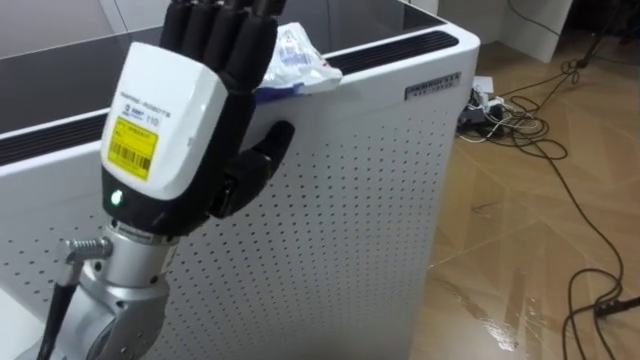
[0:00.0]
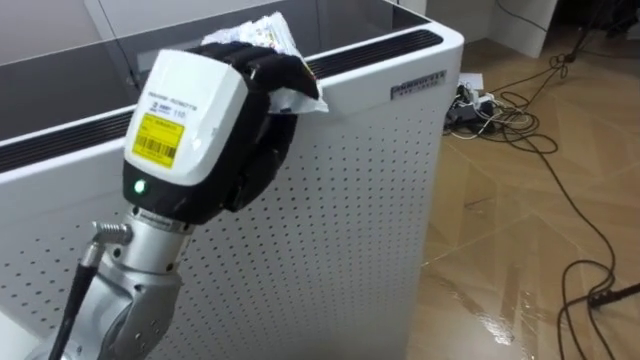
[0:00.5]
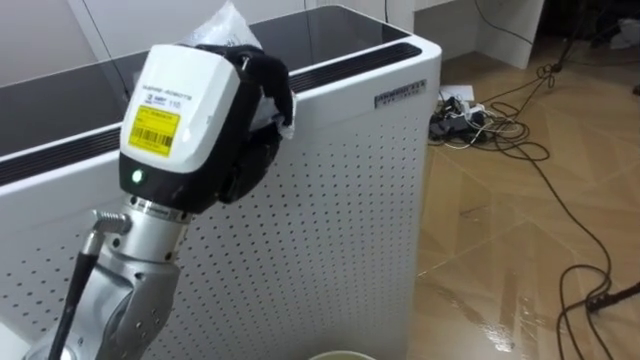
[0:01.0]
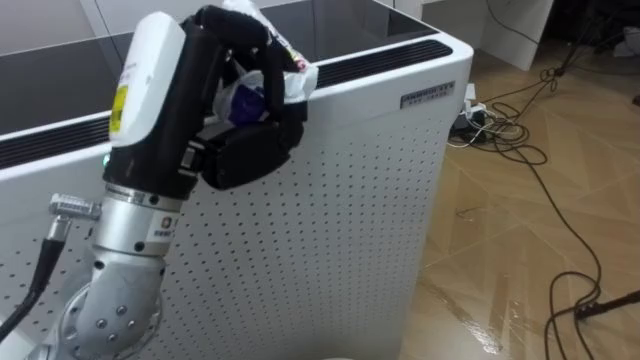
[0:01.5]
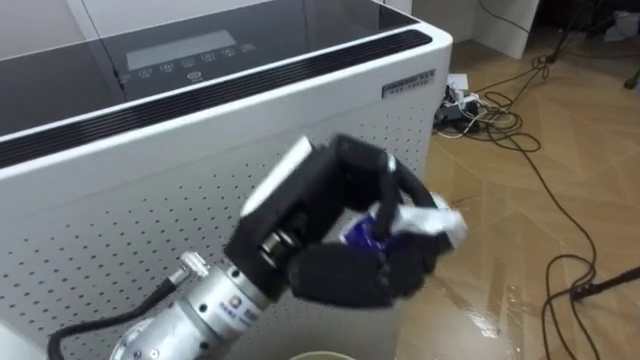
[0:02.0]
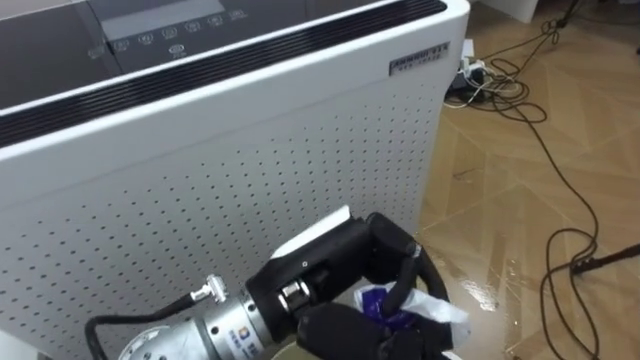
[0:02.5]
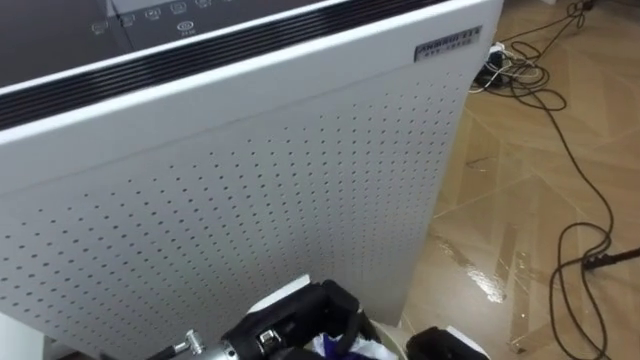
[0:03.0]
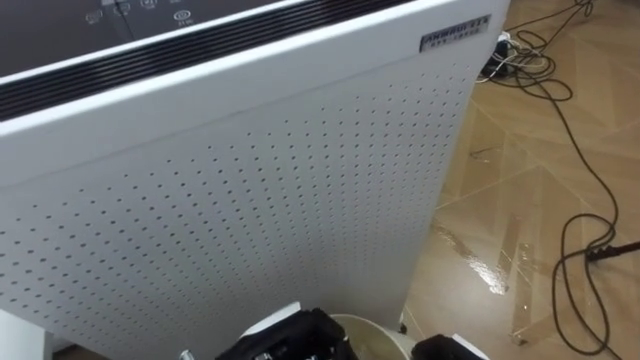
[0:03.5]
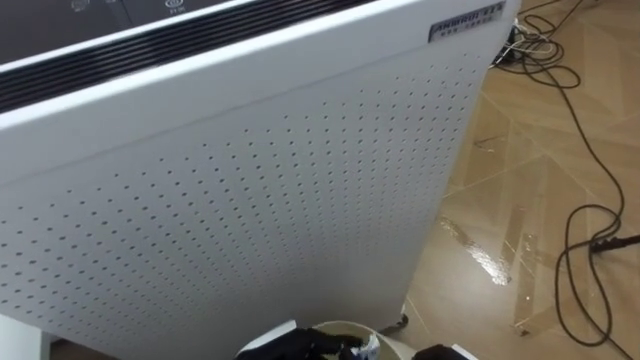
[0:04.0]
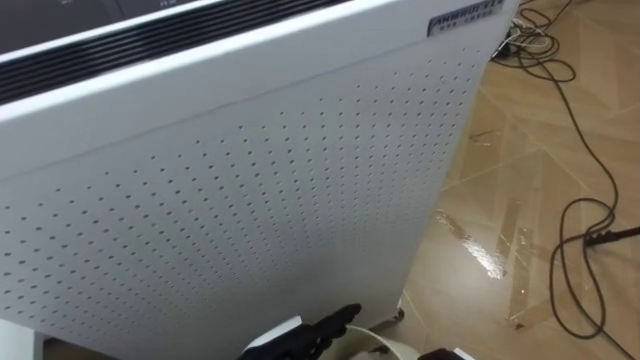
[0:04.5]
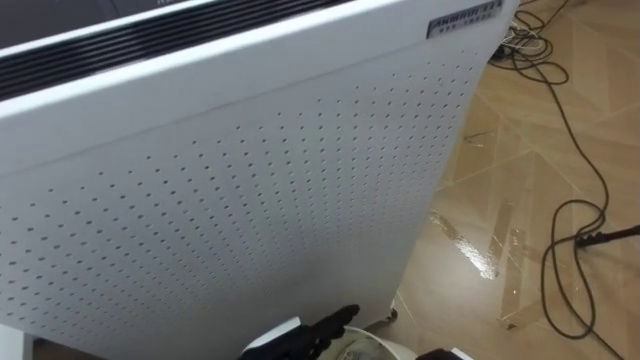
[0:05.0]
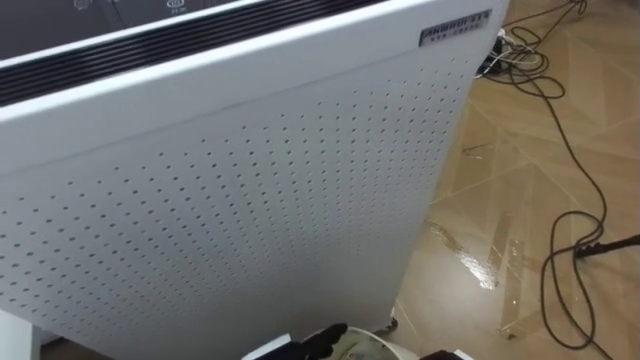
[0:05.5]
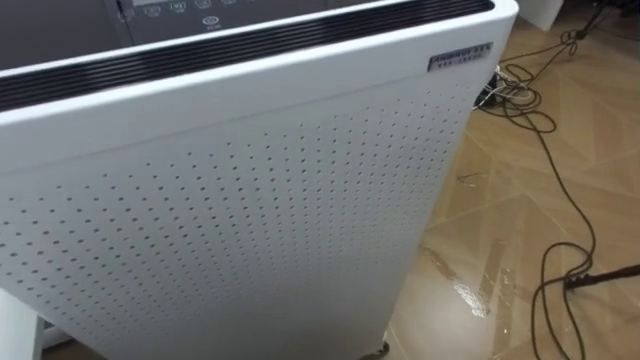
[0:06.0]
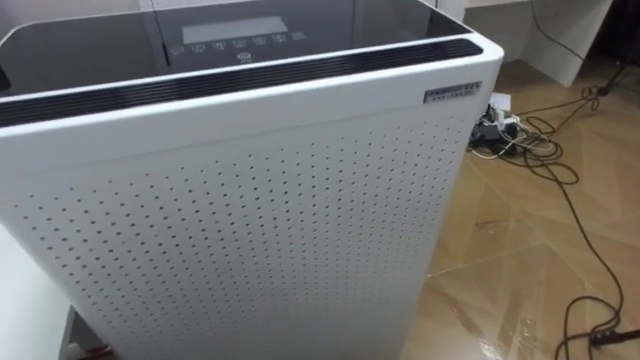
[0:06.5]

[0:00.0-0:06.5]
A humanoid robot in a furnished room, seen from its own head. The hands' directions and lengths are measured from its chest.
Task of the whole recording: Pick up the light blue package, the candy box, and the dark blue package separately, and put them into the trash can held in your right hand.
0:00.0 to 0:02.0: The left hand goes some 10 cm to the right and downward, and closes its fingers.
0:02.0 to 0:04.5: The left hand travels downward by roughly 20 cm, and opens.

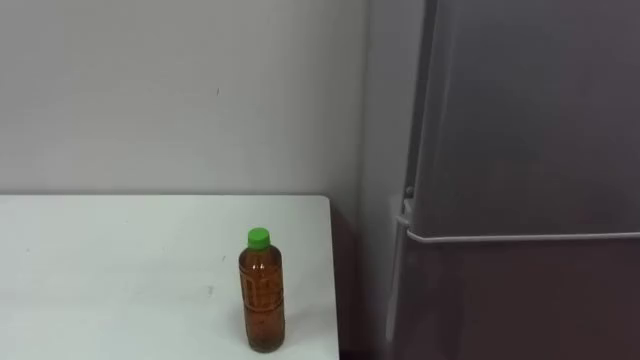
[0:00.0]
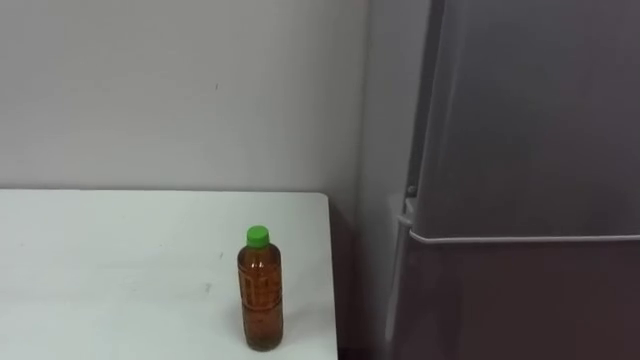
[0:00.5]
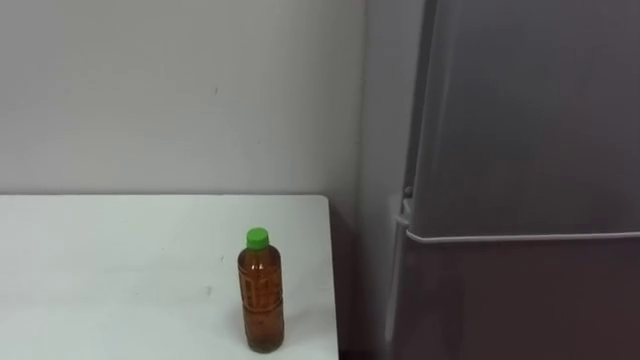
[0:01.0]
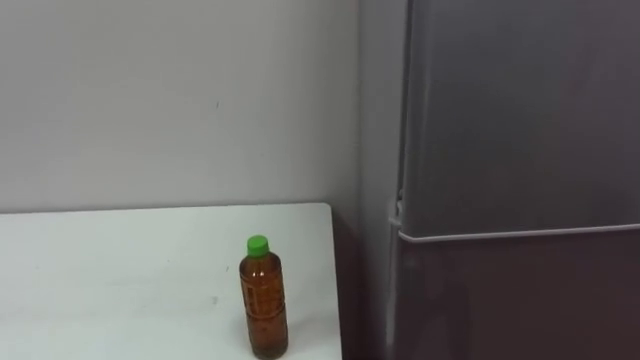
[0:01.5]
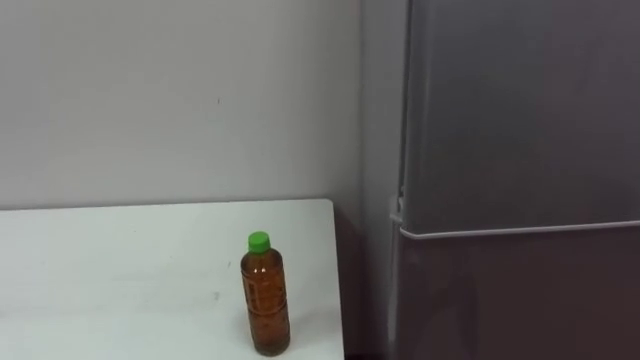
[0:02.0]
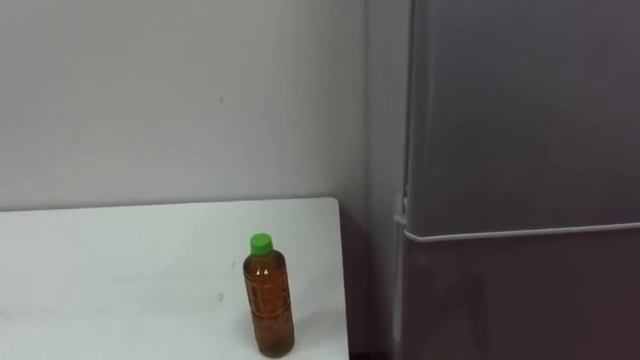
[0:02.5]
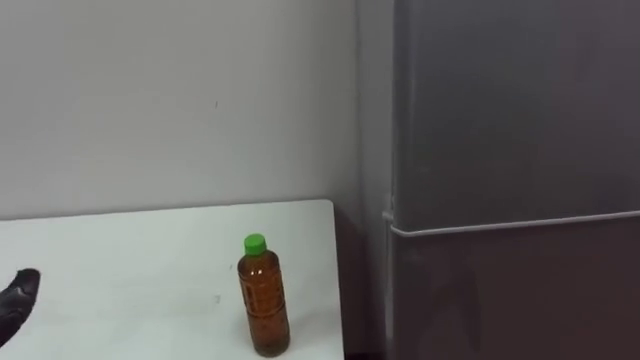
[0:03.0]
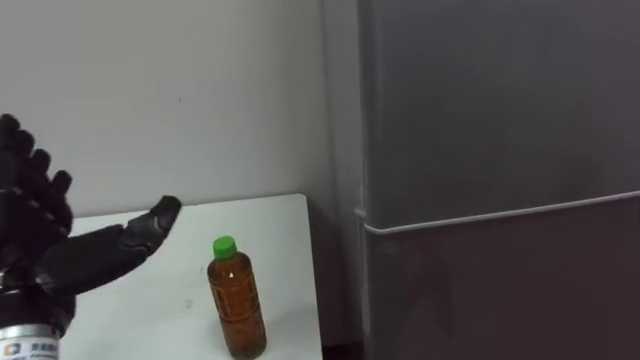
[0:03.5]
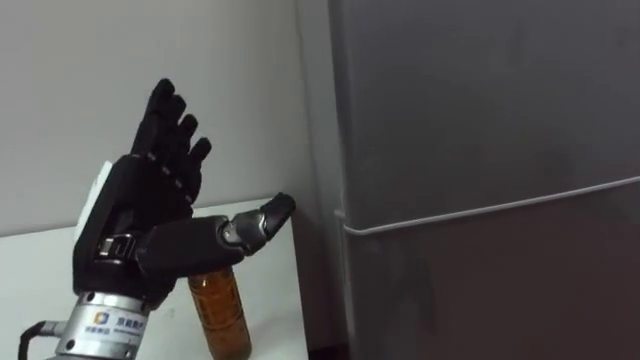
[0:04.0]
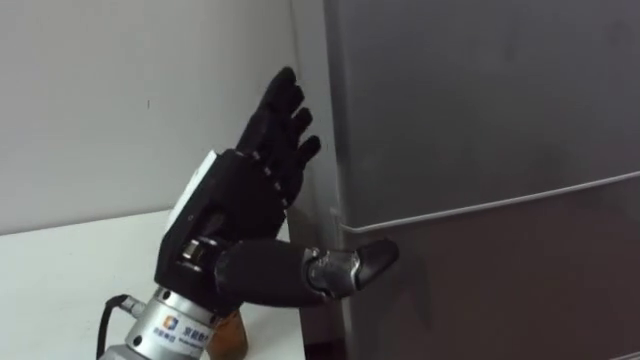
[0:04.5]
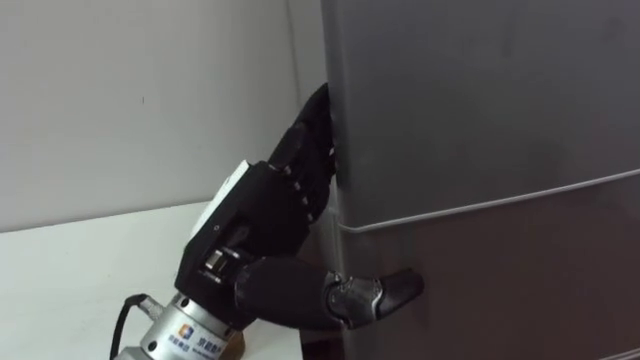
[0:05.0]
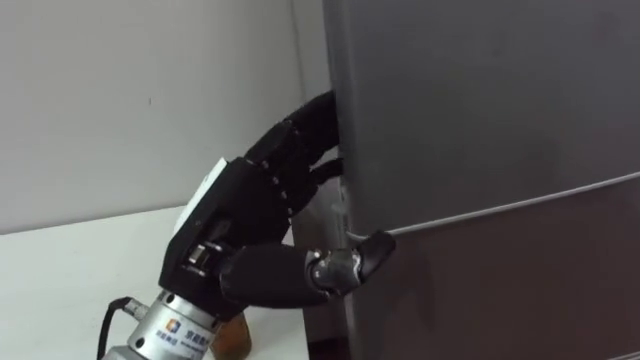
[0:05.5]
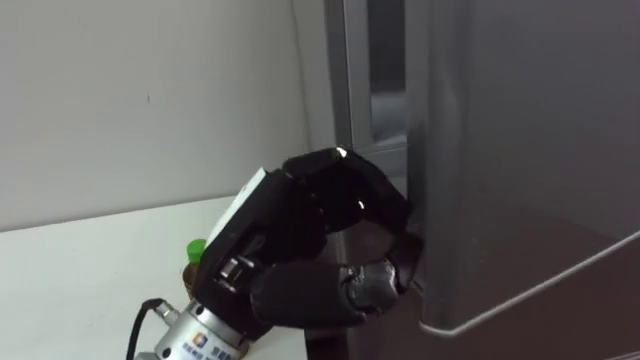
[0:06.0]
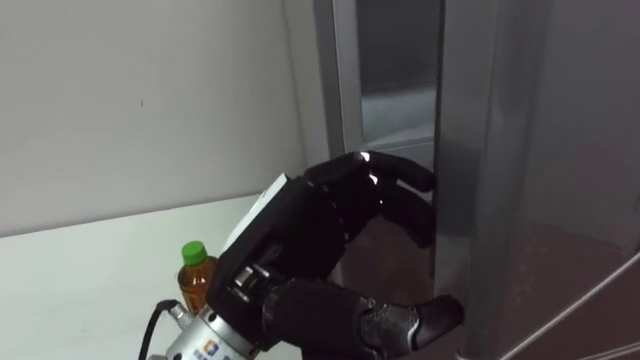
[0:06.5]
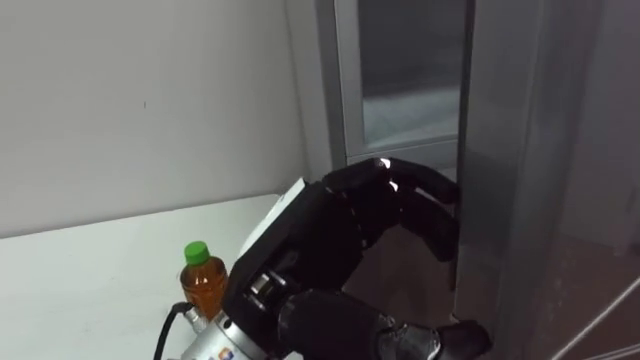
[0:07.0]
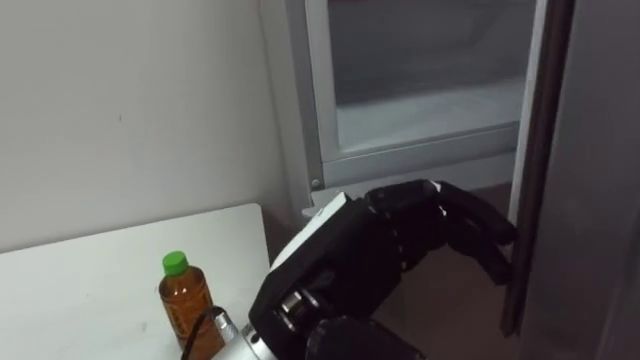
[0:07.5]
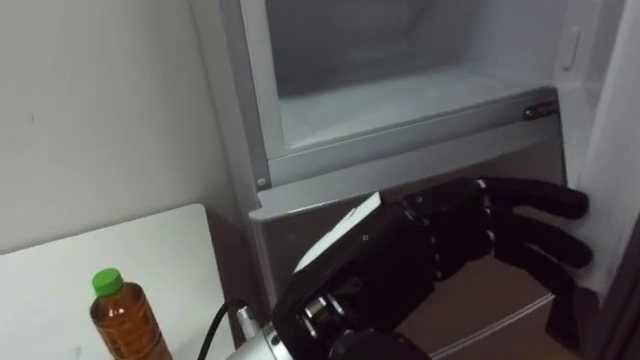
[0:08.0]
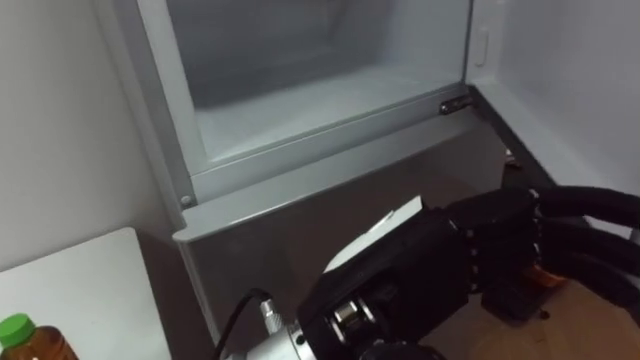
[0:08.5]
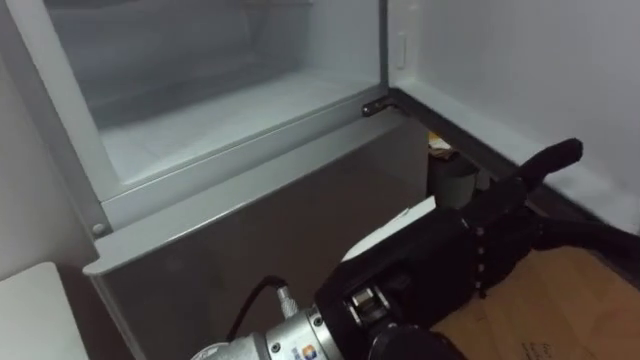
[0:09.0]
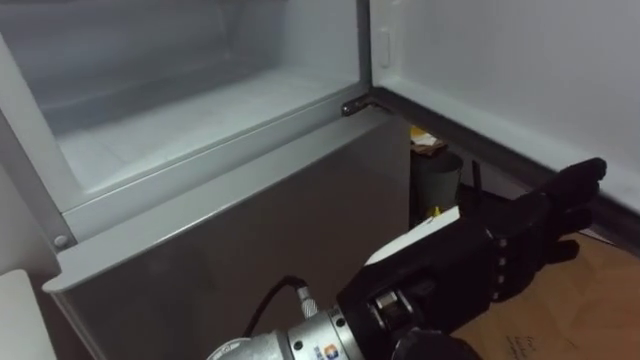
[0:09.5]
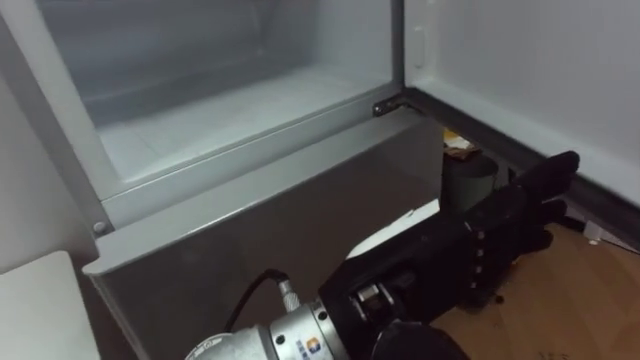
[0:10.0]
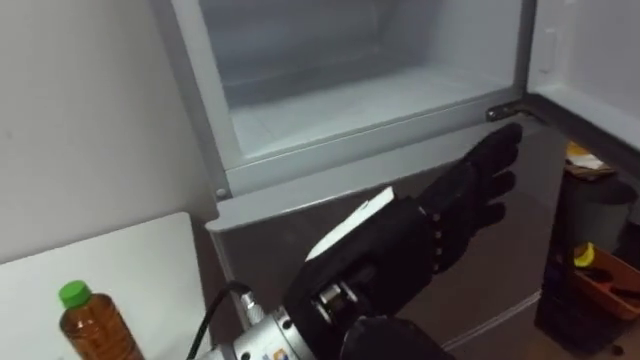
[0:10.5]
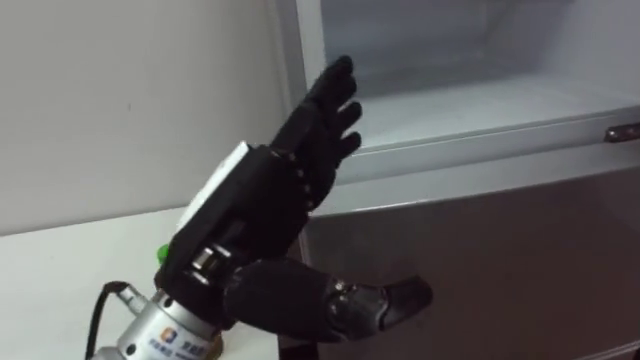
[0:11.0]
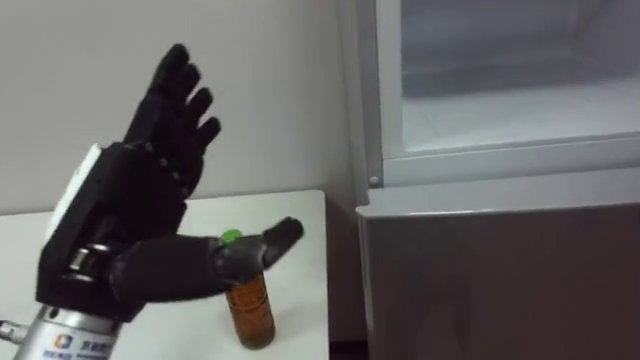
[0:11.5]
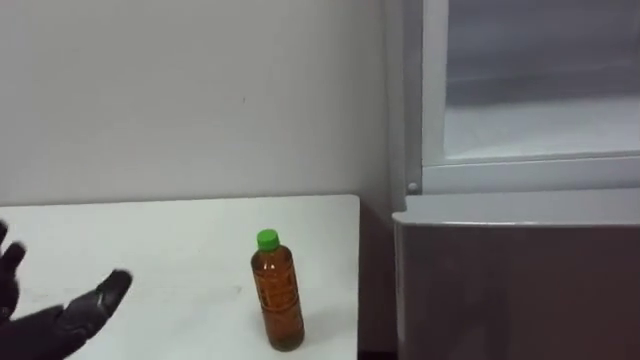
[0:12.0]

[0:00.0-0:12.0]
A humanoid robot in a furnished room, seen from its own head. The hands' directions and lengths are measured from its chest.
Task of the whole recording: Open the upper refrigerator door, put the drink from the table into the refrigerator, and then close the refrigerator door.
0:04.0 to 0:06.0: The left hand goes about 10 cm to the right, and closes up.
0:06.0 to 0:08.0: The left hand shifts approximately 5 cm to the right, and opens.

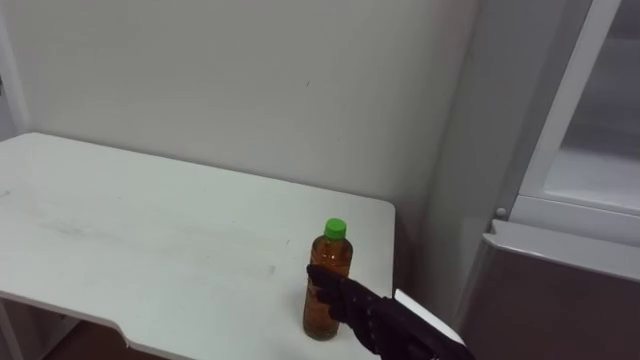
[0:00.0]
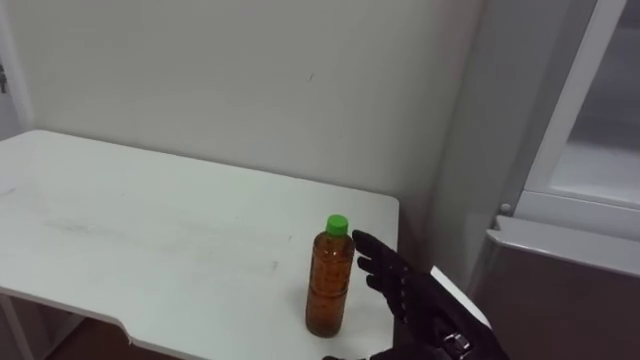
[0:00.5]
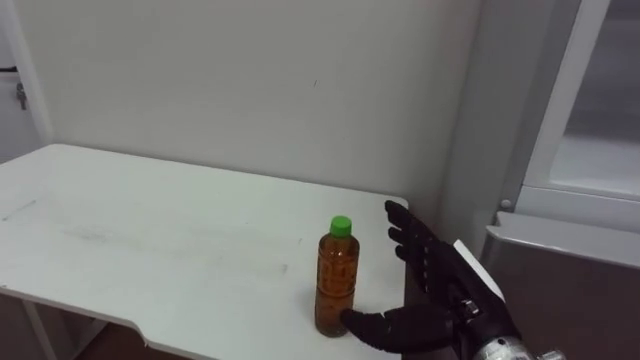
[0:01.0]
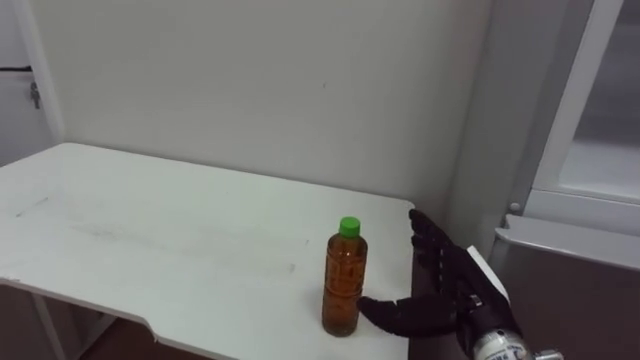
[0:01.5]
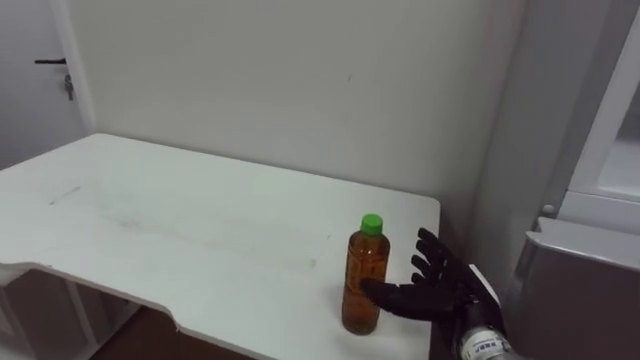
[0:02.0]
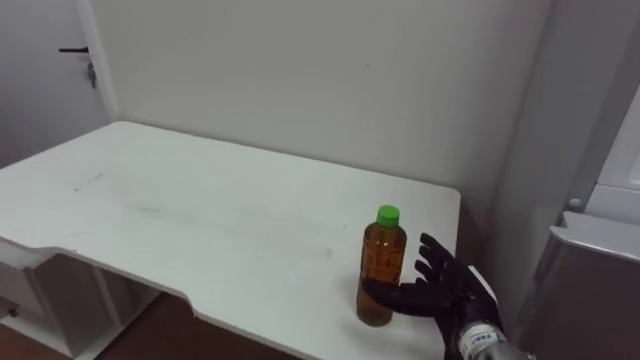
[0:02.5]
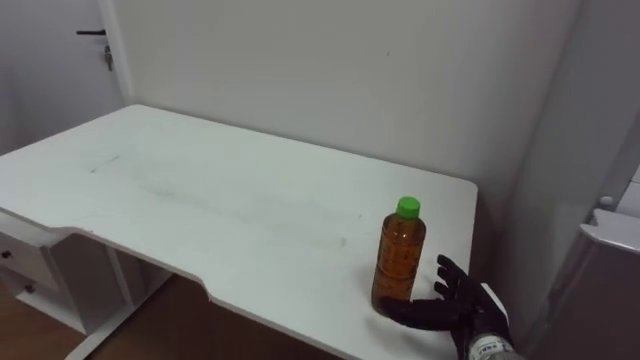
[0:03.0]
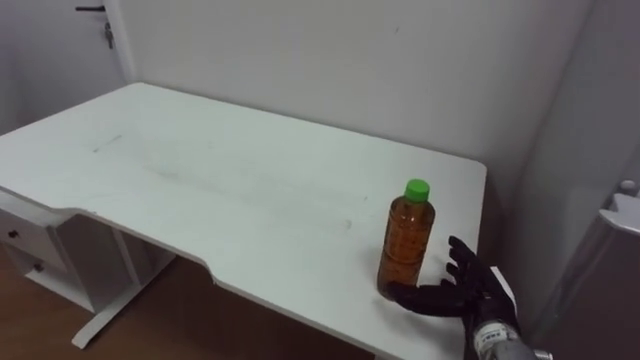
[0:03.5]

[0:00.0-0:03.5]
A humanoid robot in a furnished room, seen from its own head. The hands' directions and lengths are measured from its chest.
Task of the whole recording: Open the upper refrigerator door, put the drink from the table into the refrigerator, and then close the refrigerator door.
0:00.0 to 0:02.0: The right hand travels forward and to the right by some 10 cm.
